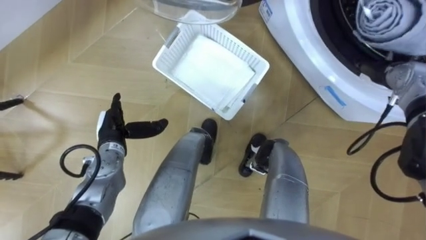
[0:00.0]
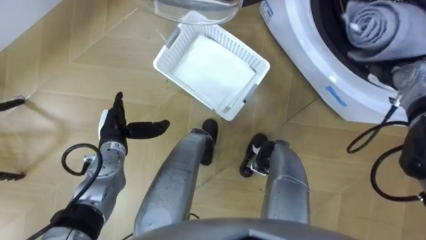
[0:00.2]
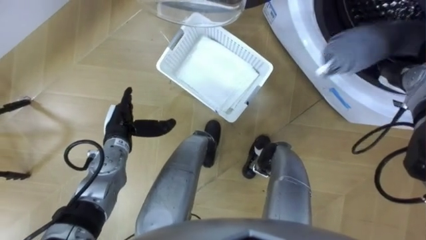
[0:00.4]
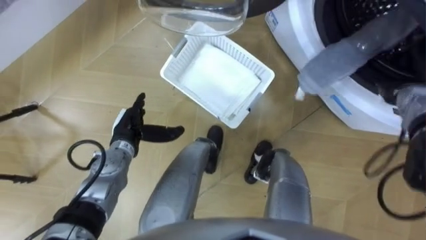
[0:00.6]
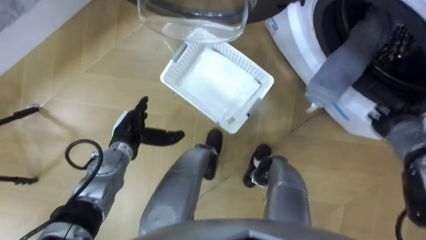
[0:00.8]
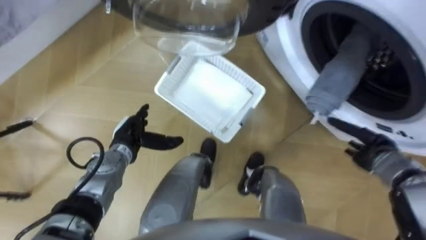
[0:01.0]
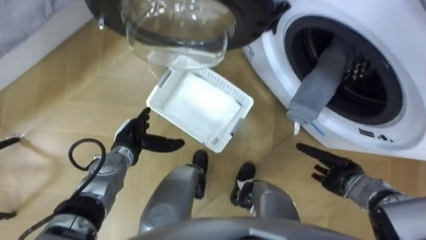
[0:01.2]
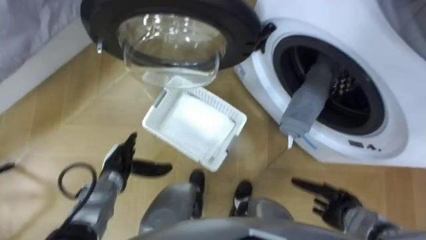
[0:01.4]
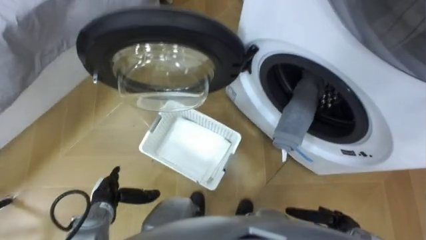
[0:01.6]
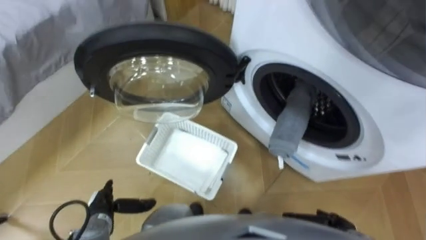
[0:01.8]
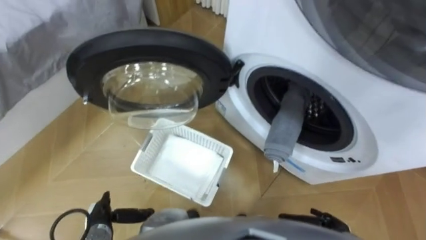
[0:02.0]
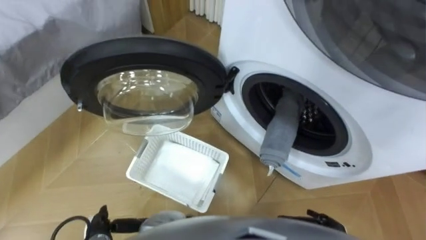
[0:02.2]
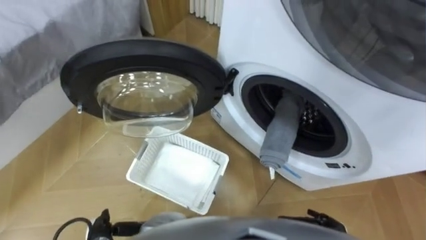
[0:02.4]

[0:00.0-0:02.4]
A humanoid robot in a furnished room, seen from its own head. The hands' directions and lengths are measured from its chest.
Task of the whole recording: Take the towel from the basket and put it into the washing machine.
0:00.0 to 0:01.2: The right hand travels backward and downward by approximately 25 cm.
0:01.2 to 0:02.4: The right hand moves backward, about 15 cm. The left hand shifts about 20 cm backward.

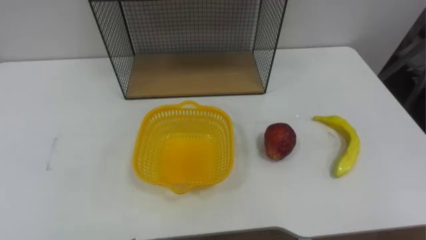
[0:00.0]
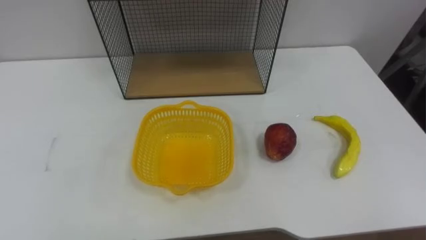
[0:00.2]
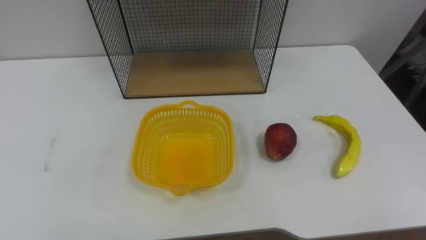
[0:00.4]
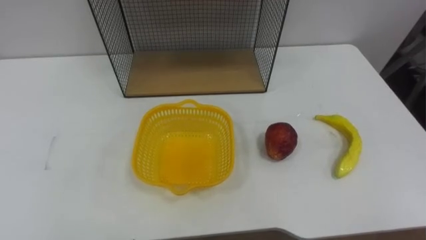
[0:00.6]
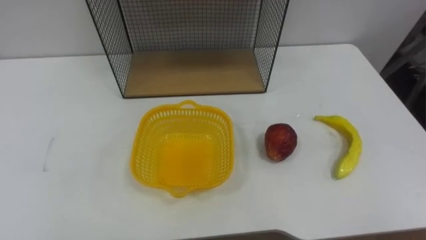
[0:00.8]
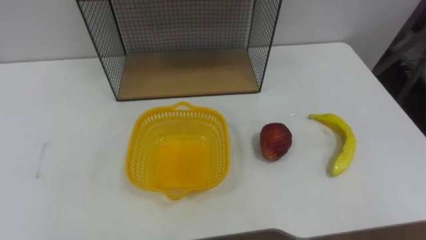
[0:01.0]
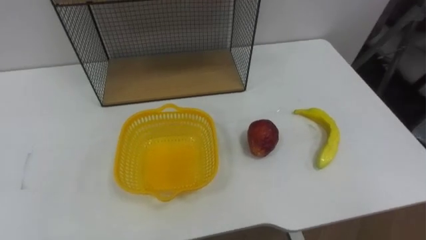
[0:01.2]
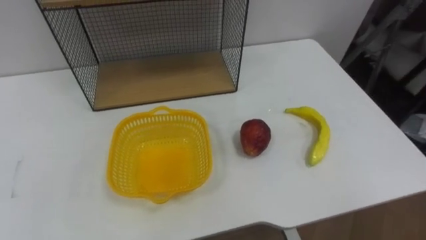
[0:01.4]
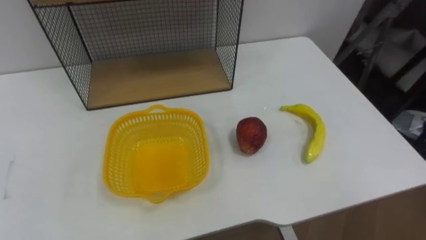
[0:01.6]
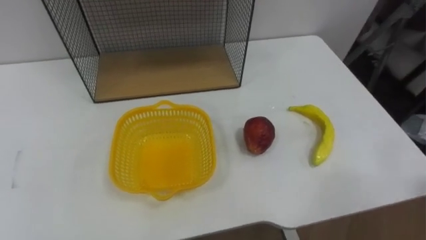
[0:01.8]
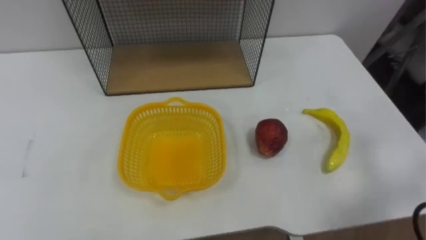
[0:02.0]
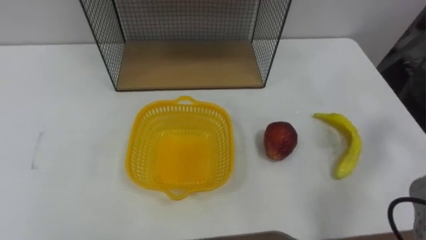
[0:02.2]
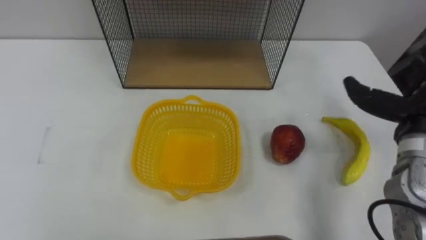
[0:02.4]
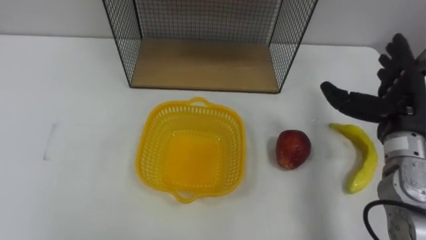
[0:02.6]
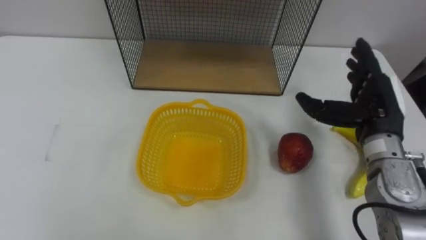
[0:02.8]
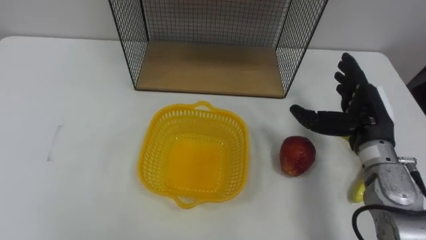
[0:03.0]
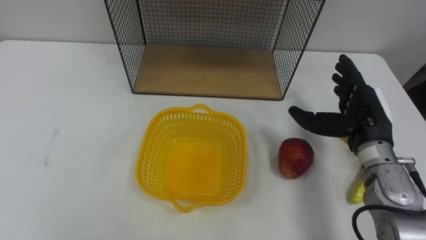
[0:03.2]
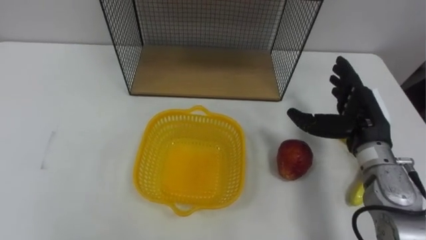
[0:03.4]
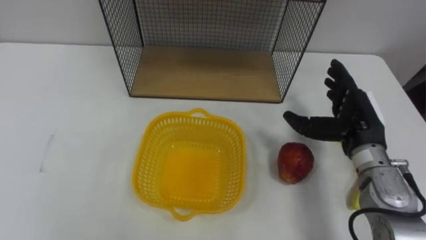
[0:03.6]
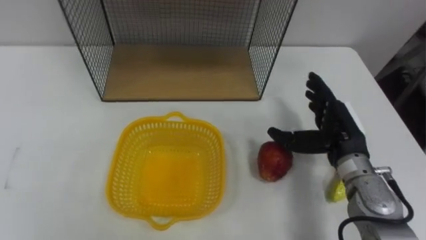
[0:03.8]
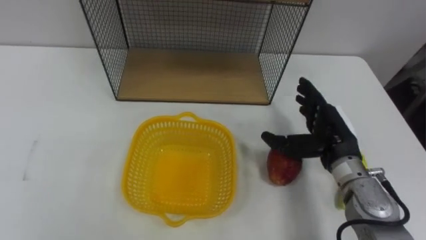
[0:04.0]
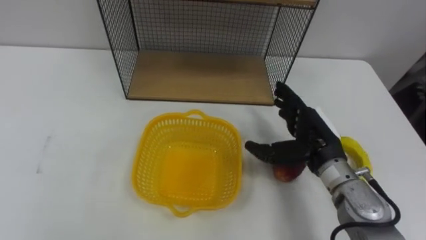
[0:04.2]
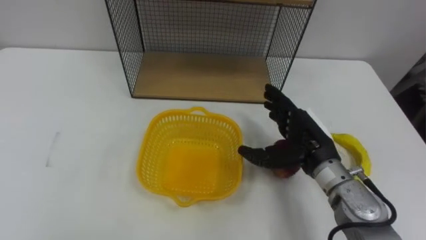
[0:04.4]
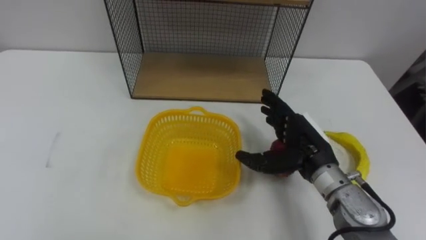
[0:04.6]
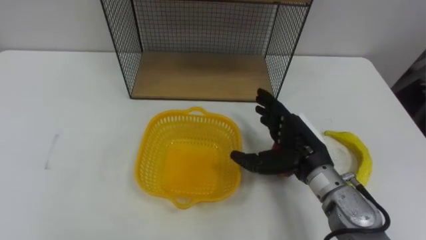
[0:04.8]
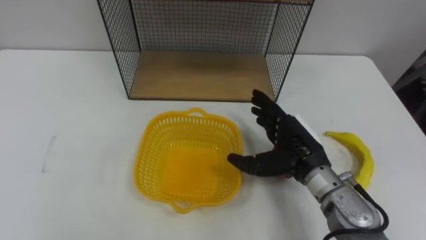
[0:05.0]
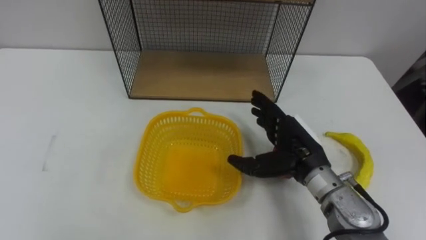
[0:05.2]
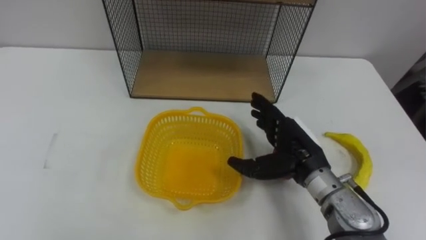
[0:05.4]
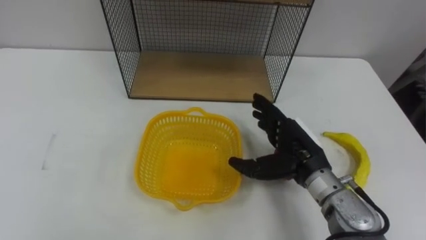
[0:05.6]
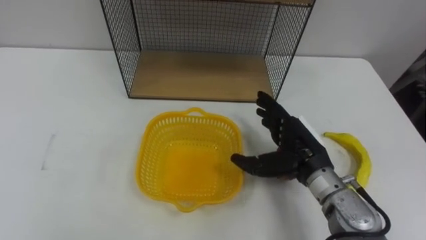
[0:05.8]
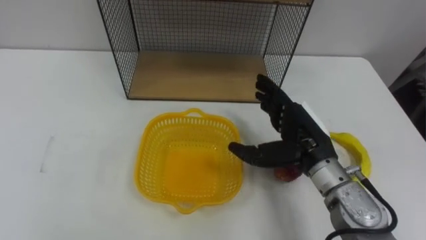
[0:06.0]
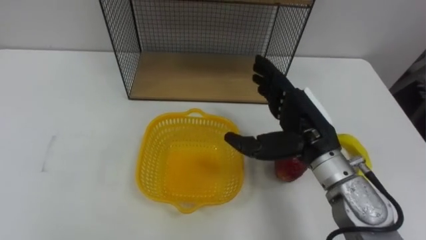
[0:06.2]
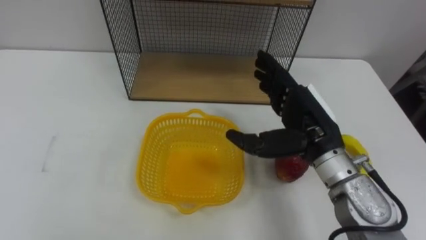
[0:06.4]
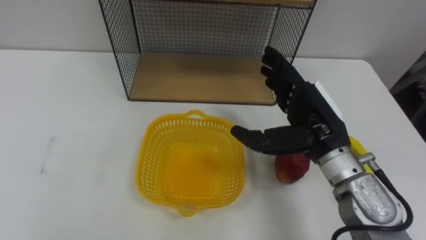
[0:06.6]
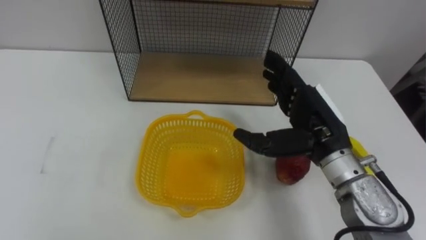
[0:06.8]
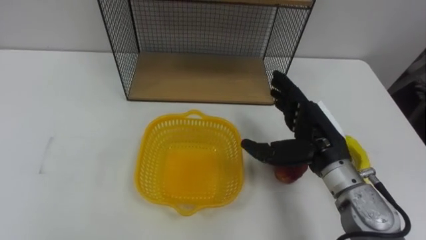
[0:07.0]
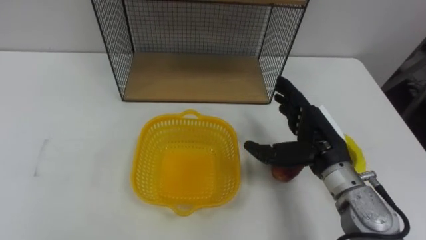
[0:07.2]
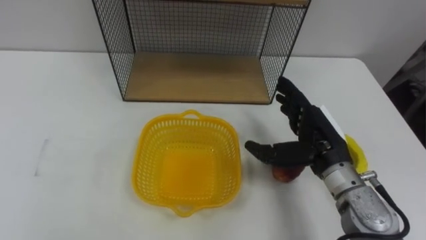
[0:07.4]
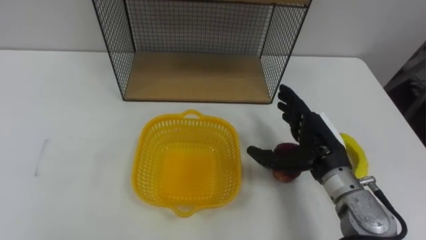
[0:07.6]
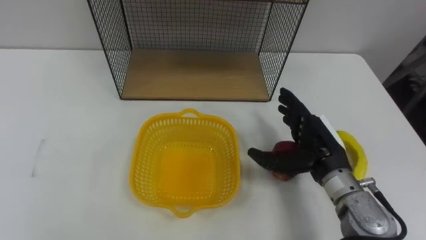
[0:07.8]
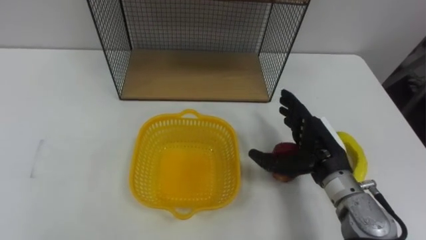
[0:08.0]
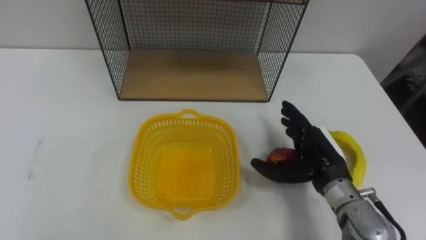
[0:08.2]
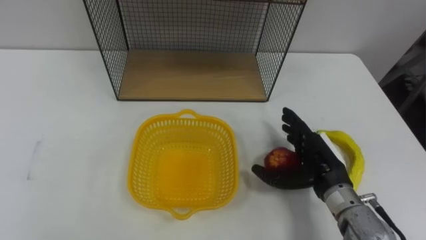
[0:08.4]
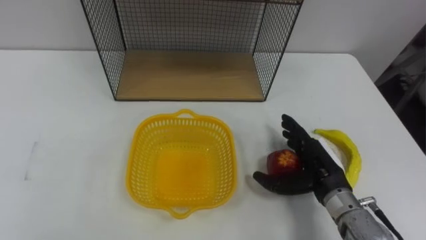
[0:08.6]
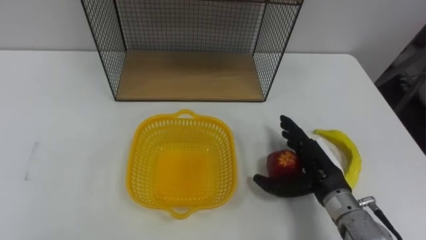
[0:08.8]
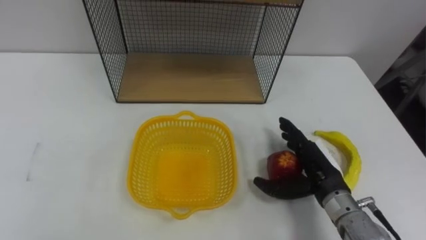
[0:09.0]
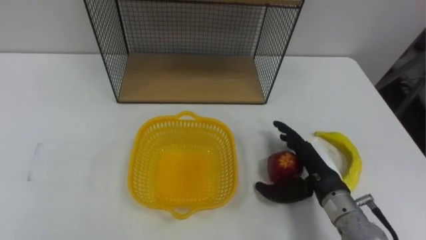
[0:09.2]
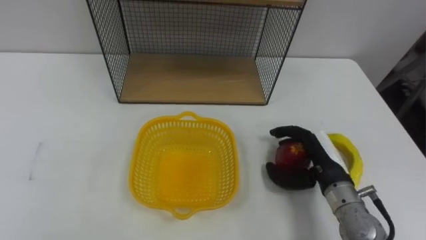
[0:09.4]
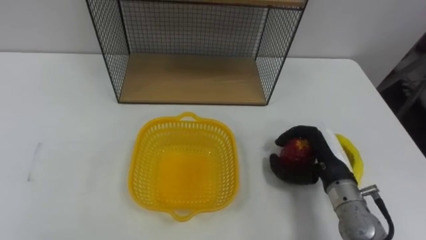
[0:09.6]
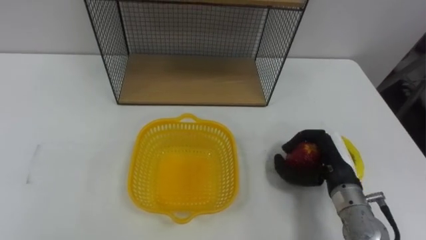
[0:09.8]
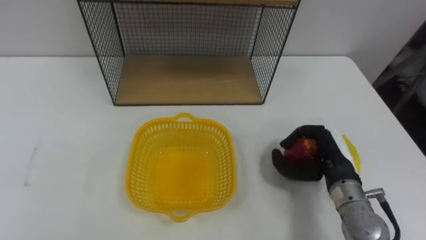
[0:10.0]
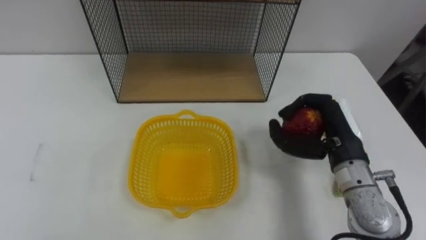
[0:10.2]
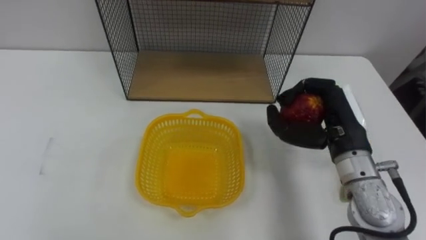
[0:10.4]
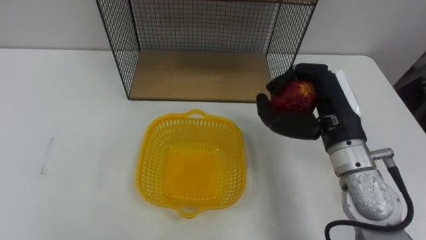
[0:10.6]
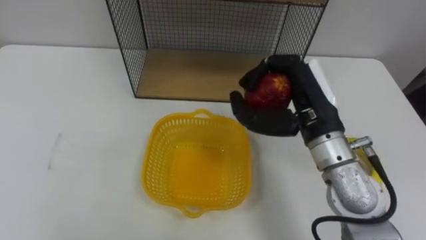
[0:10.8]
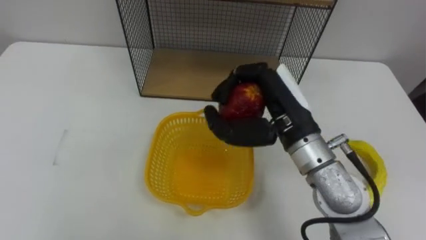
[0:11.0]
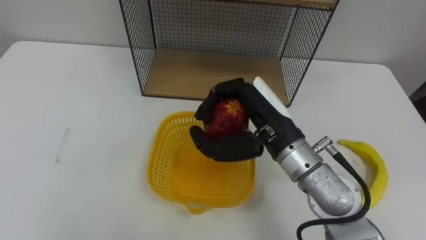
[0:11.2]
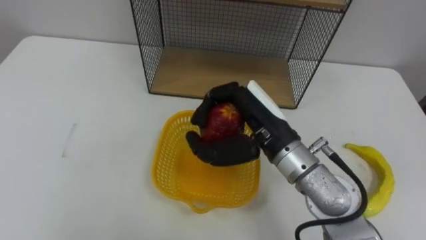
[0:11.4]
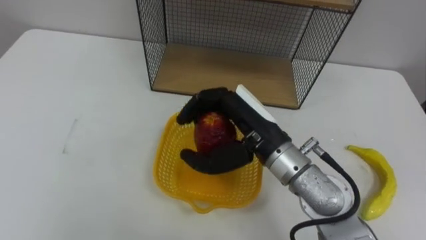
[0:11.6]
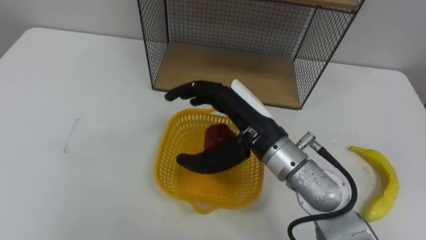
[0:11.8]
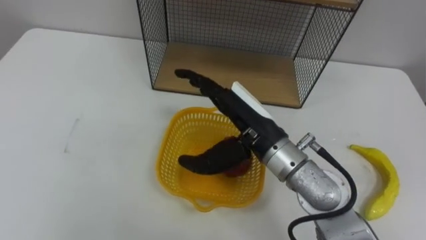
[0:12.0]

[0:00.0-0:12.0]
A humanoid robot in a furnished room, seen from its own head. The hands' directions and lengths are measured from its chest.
Task of the whole recording: Put the fruit on the table into the basket, then place the basket on the shelf.
0:03.0 to 0:04.4: The right hand travels to the left by approximately 10 cm.
0:07.6 to 0:09.0: The right hand is displaced downward by roughly 5 cm.
0:09.0 to 0:10.4: The right hand travels upward by some 10 cm, and closes up.
0:10.4 to 0:12.0: The right hand is displaced to the left by some 15 cm, and opens its fingers.

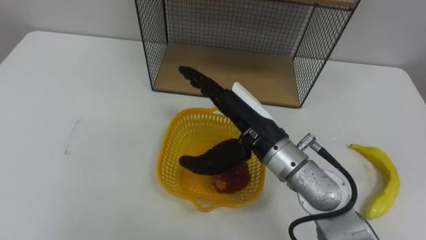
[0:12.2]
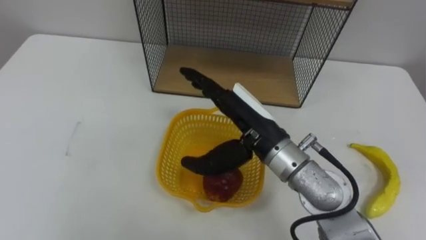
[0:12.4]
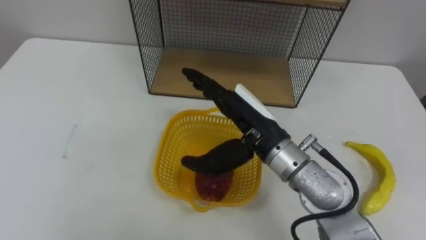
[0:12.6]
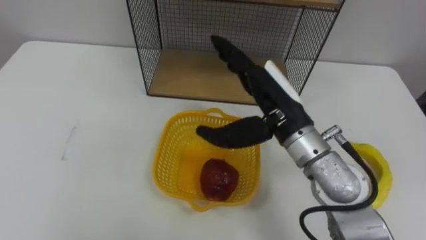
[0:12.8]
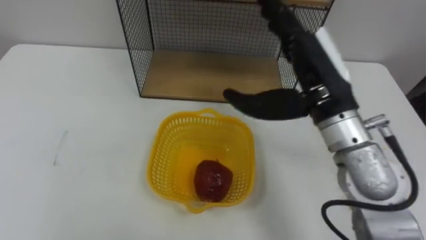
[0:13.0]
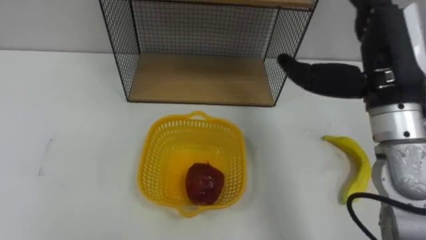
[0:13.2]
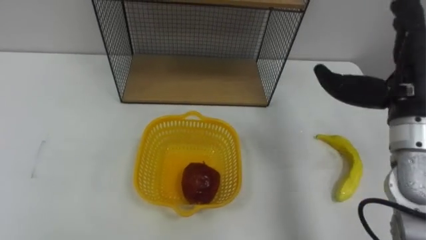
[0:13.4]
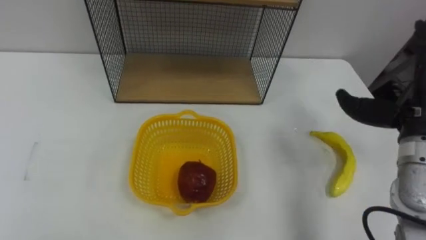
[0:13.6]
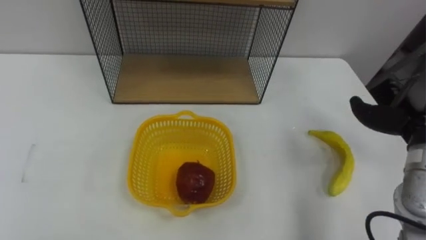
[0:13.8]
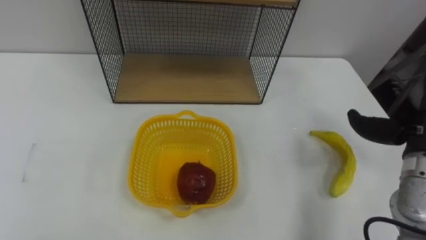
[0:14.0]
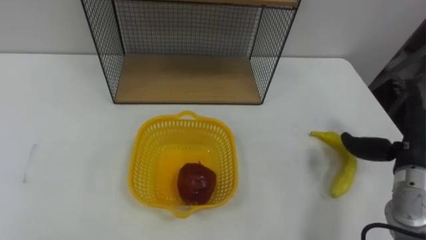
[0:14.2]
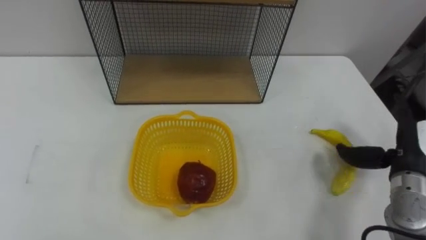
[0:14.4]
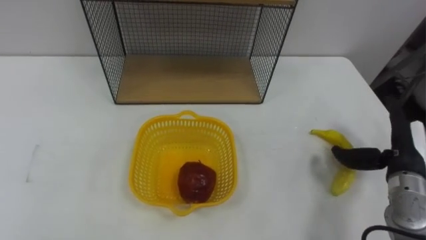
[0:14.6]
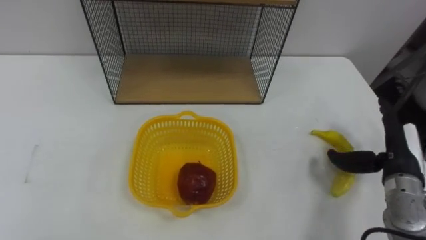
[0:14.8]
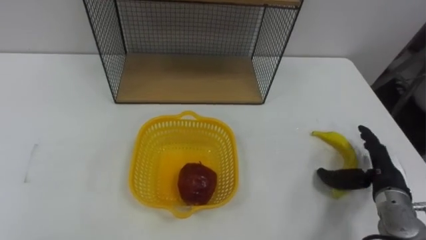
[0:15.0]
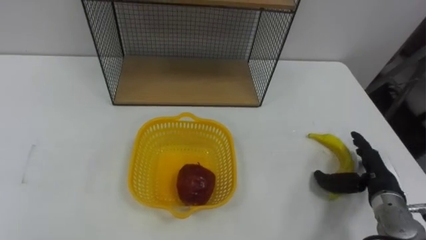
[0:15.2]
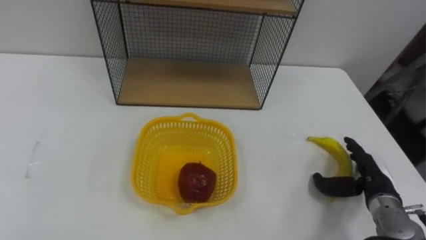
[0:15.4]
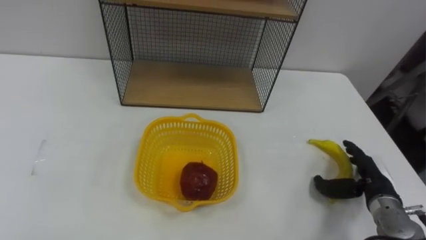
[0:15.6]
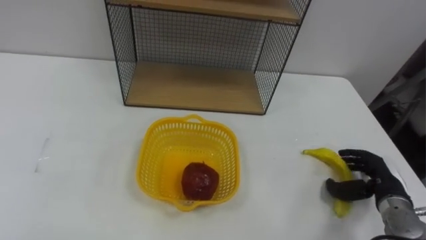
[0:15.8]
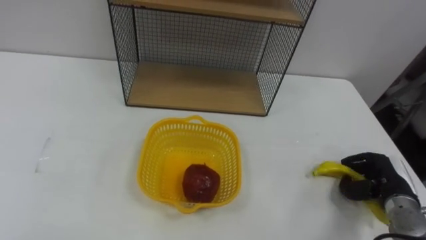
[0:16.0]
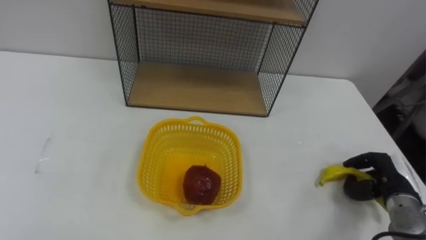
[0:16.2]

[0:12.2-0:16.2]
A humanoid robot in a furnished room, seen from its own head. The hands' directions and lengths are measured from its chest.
Task of the whole recording: Put the fruit on the table into the basket, then place the basket on the shelf.
0:12.2 to 0:13.6: The right hand shifts approximately 25 cm to the right.
0:14.8 to 0:16.2: The right hand is displaced downward by about 10 cm, and closes.
